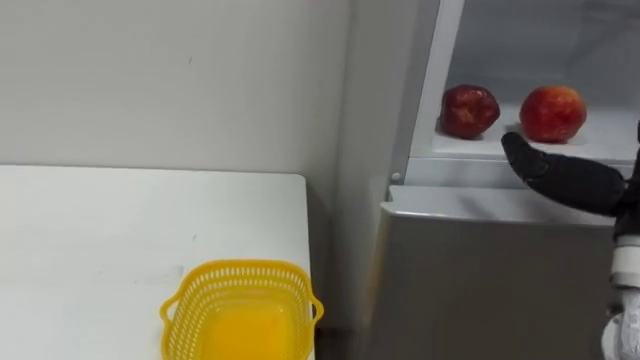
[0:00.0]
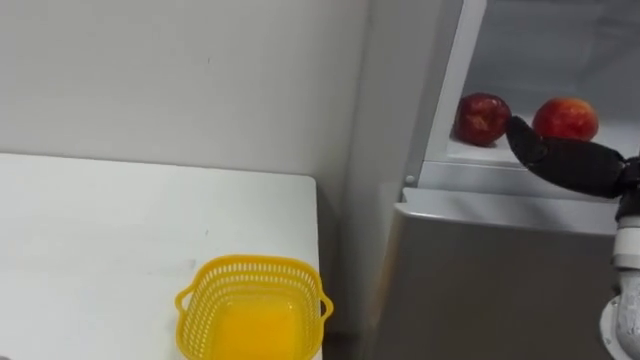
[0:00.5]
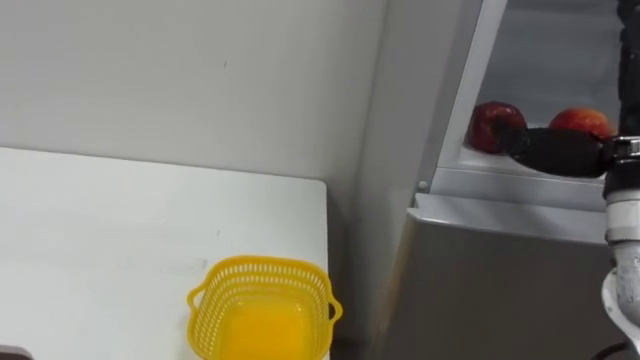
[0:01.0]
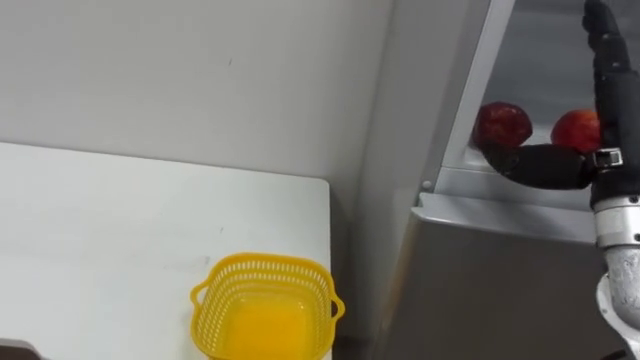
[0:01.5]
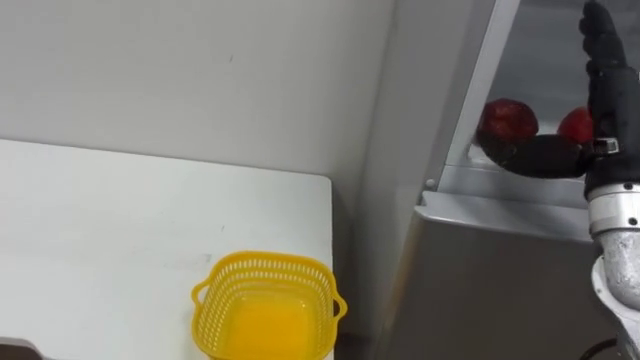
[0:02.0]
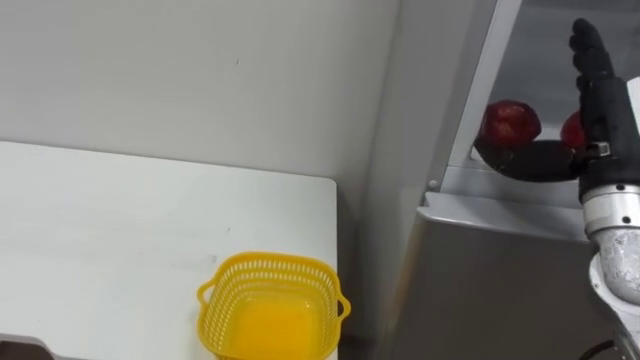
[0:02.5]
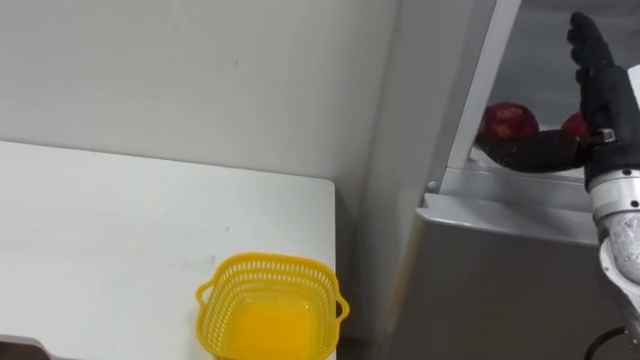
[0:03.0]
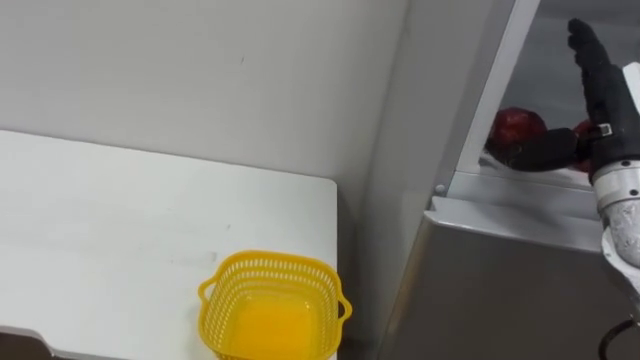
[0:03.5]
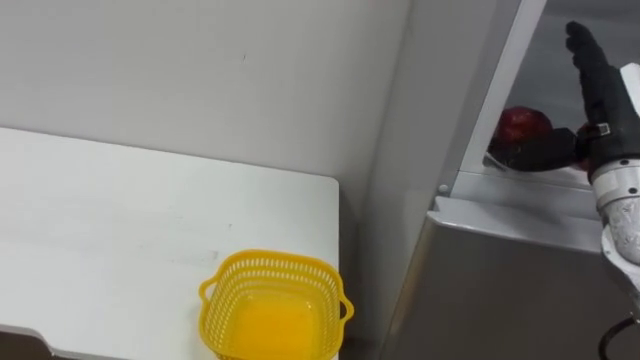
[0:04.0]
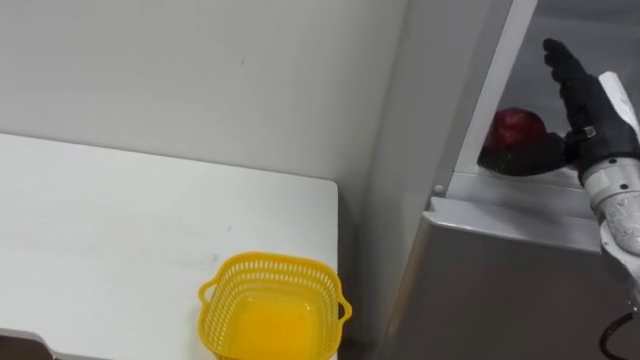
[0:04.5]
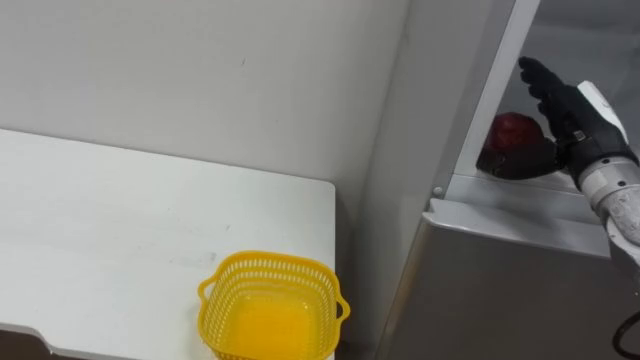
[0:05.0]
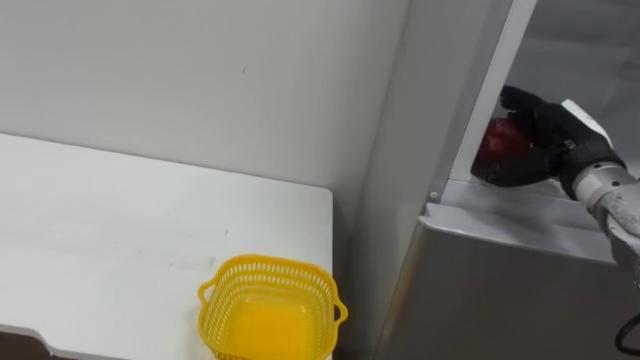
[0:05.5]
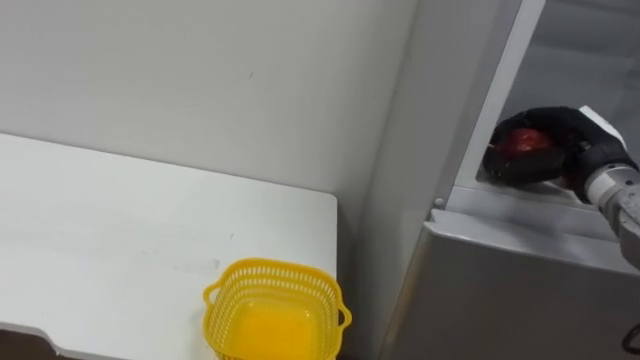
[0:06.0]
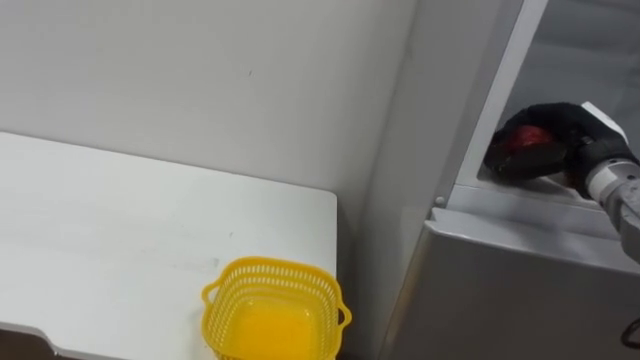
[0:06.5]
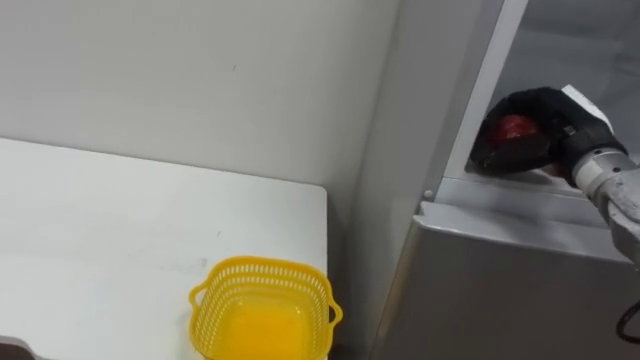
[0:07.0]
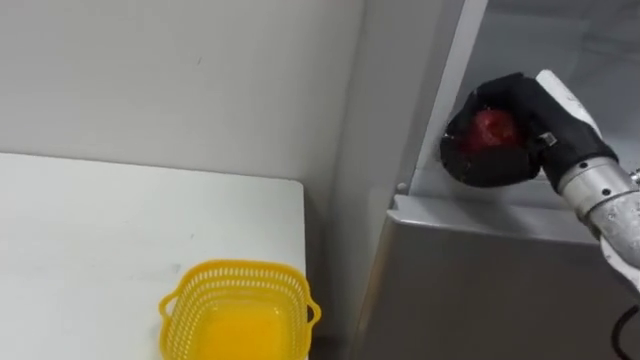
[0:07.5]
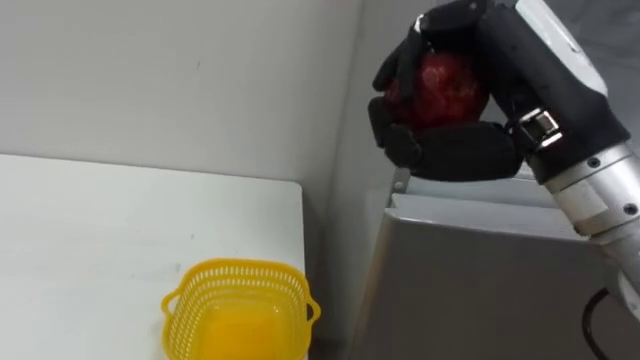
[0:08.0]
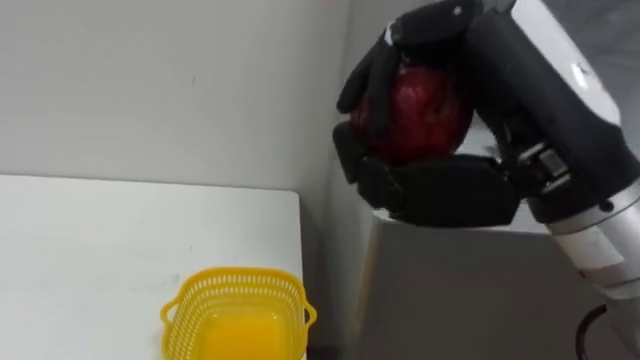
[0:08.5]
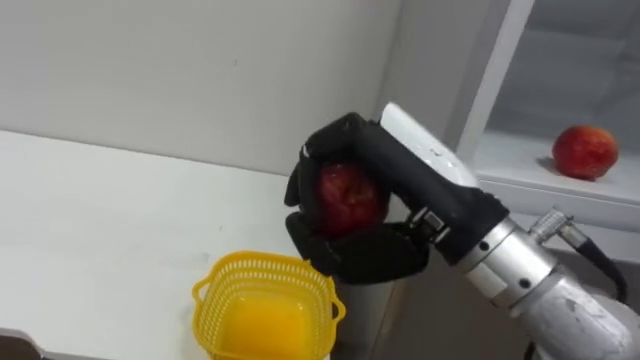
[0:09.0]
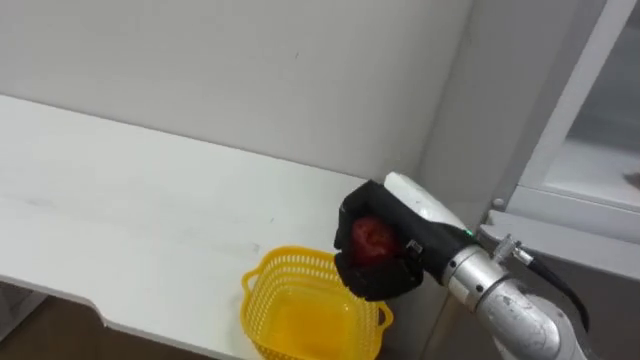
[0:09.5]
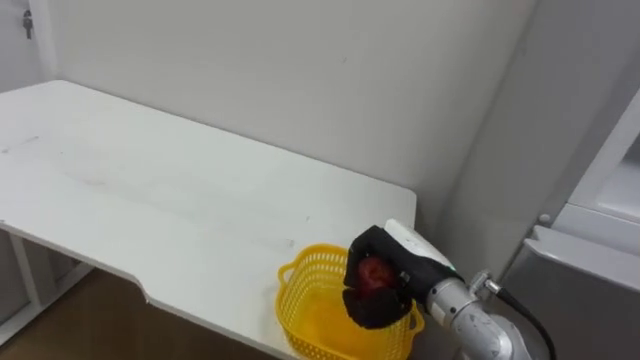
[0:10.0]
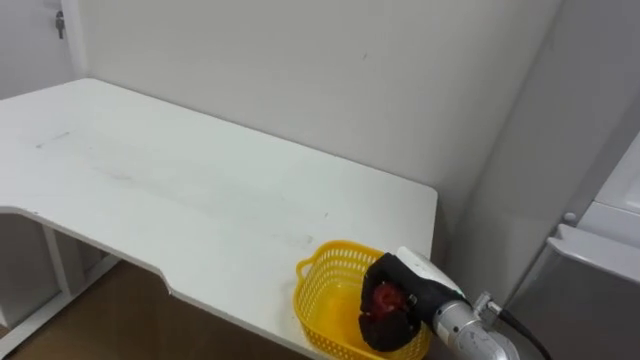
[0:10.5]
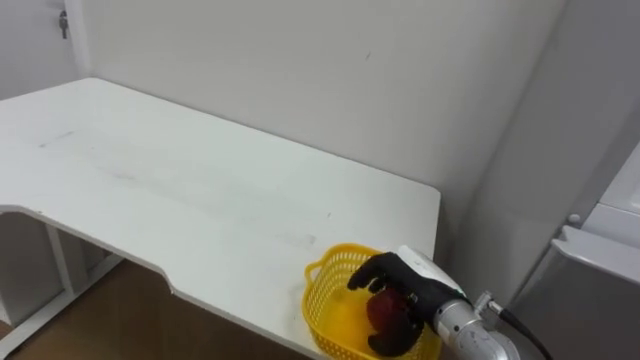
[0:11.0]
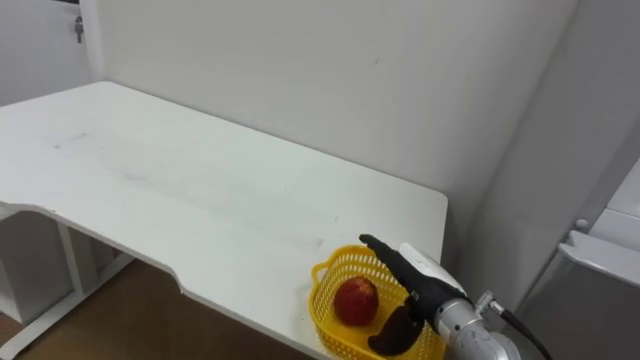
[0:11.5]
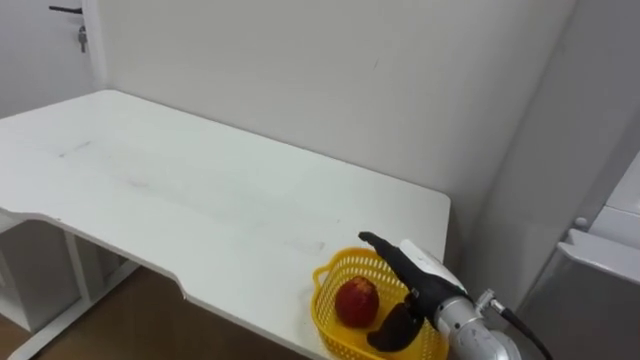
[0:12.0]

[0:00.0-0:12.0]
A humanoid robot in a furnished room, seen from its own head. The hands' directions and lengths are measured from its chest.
Task of the whole recording: Open the refrigerator door, take out the apple and the pomegranate, place them in the fruit basket on the left, and close the refrigerator door.
0:04.0 to 0:06.0: The right hand is displaced downward by roughly 5 cm, and closes up.
0:06.0 to 0:08.0: The right hand travels backward, to the left and upward by approximately 25 cm.
0:08.0 to 0:10.0: The right hand moves downward, about 25 cm.
0:10.0 to 0:12.0: The right hand opens up.

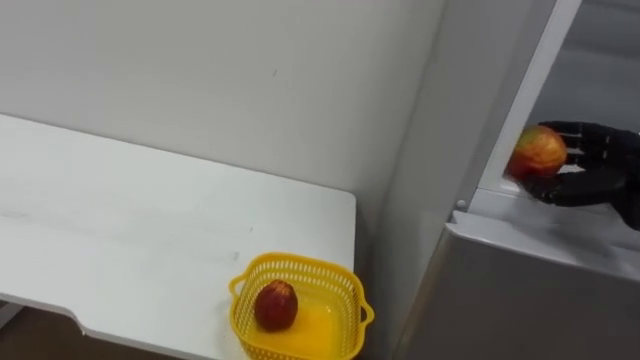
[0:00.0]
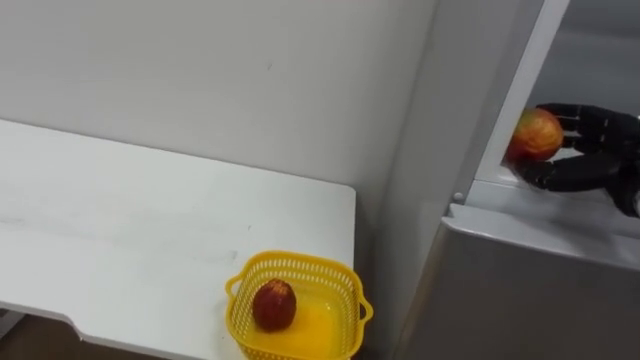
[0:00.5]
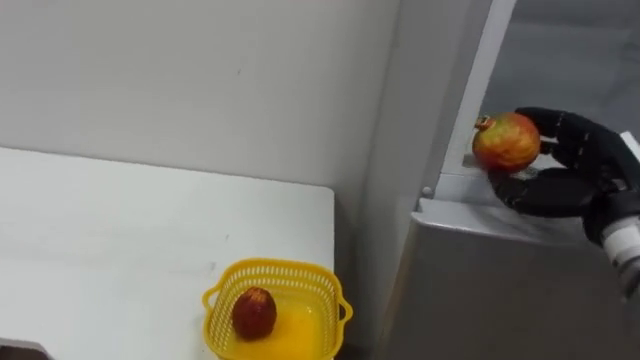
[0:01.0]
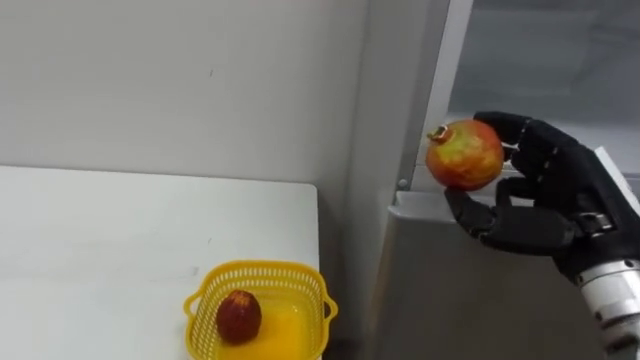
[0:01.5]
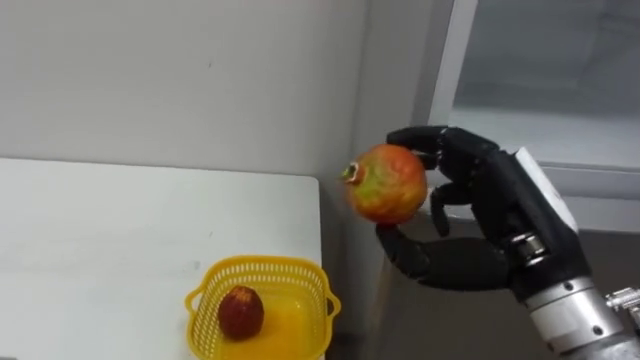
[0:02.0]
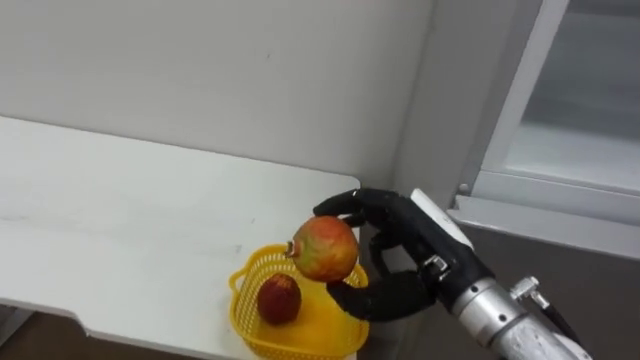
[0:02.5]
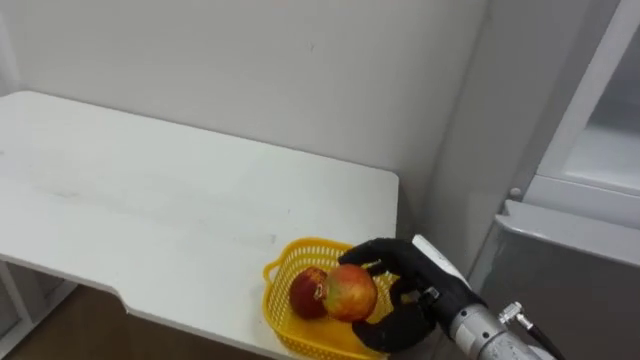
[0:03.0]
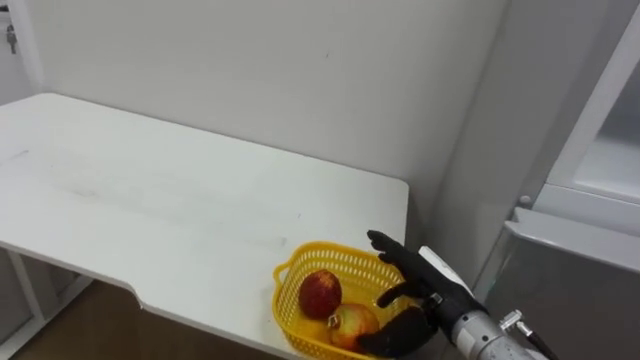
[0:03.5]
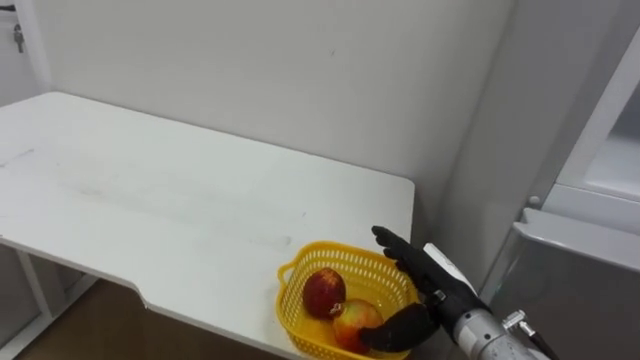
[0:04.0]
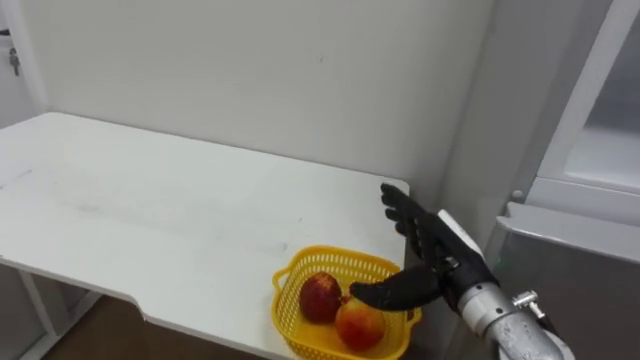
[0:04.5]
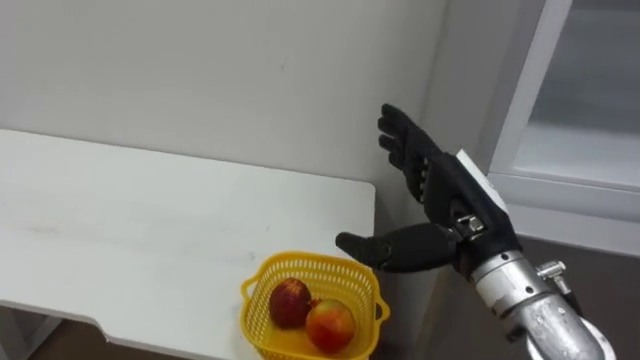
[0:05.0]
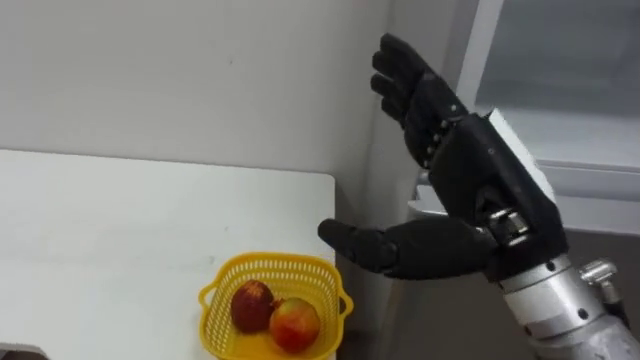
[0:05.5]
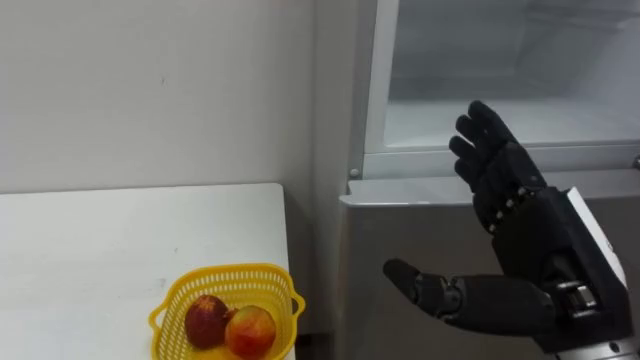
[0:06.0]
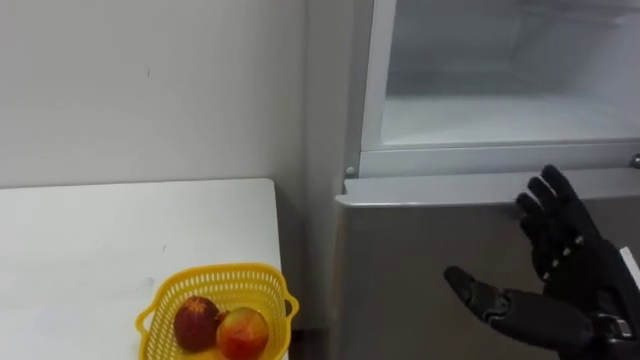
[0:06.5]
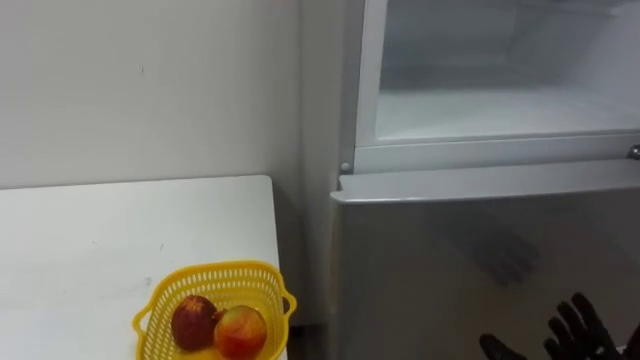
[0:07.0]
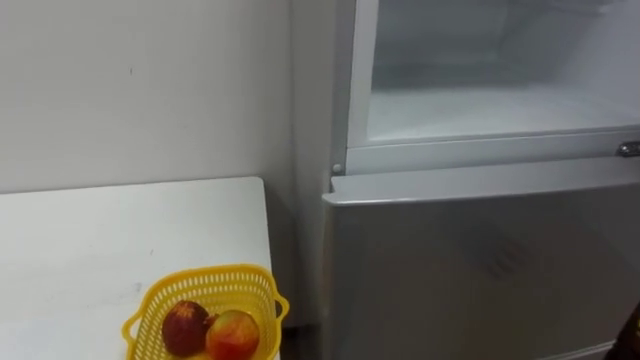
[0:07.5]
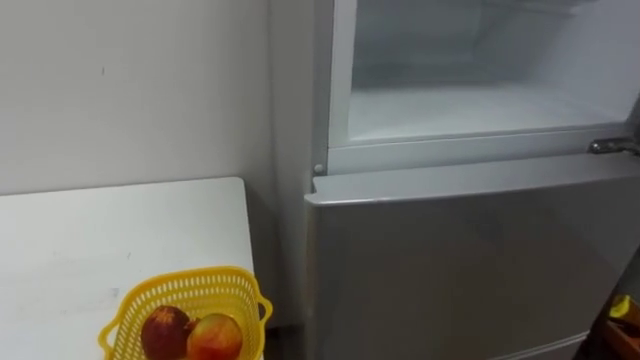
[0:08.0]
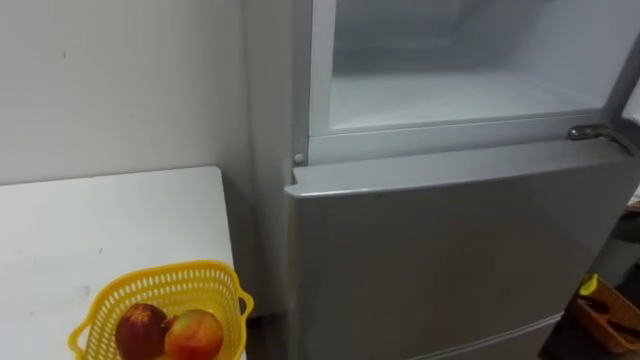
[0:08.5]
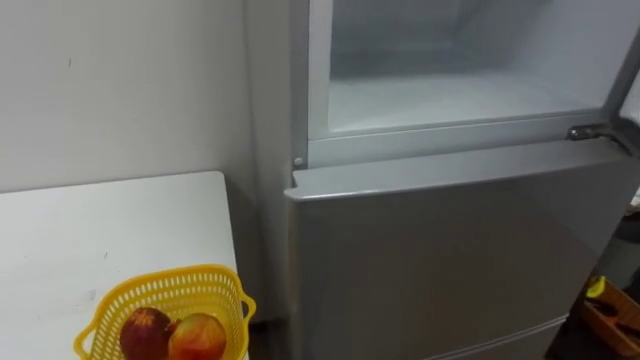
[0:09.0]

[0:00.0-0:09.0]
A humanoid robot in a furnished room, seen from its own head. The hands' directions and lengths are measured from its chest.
Task of the whole recording: Open the refrigerator door, take out the apple and the pomegranate, place them in the fruit basket on the left, and close the refrigerator door.
0:00.0 to 0:02.0: The right hand travels to the left and backward by some 20 cm.
0:02.0 to 0:04.5: The right hand goes approximately 15 cm downward and forward, and opens.
